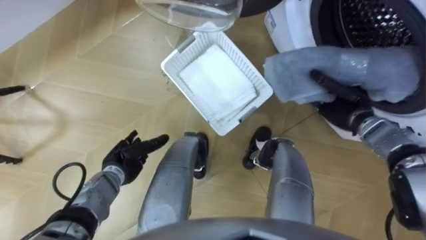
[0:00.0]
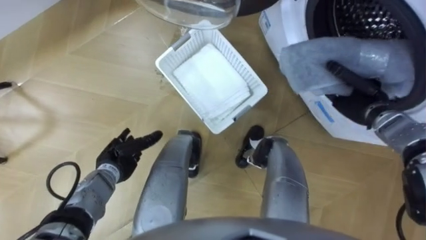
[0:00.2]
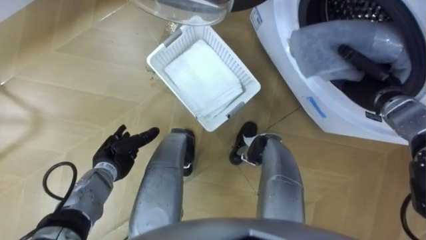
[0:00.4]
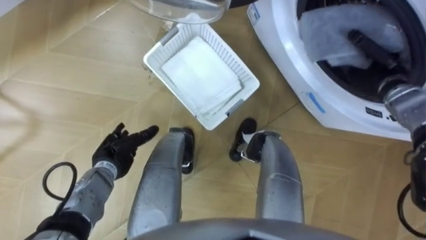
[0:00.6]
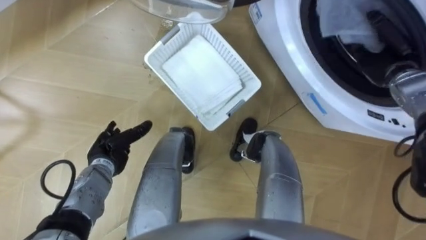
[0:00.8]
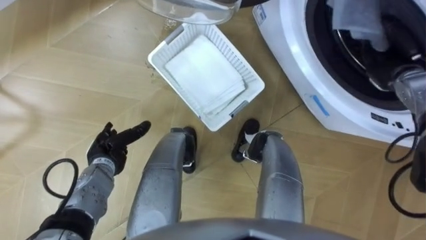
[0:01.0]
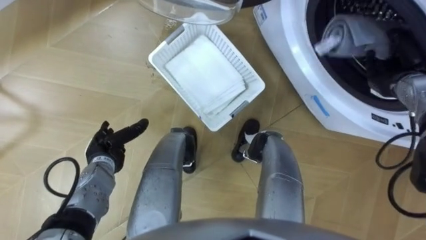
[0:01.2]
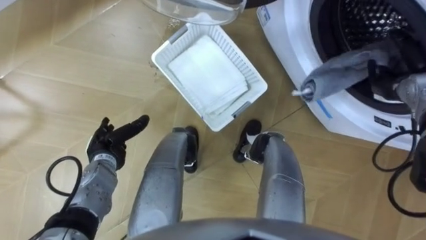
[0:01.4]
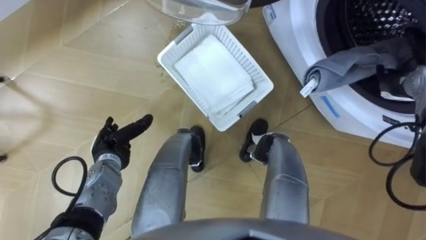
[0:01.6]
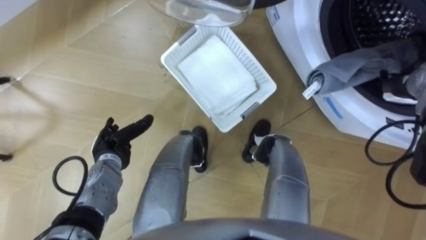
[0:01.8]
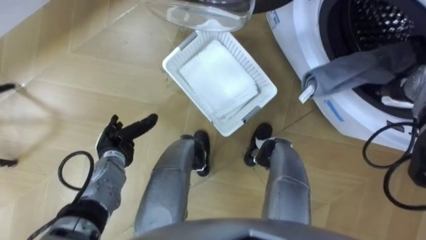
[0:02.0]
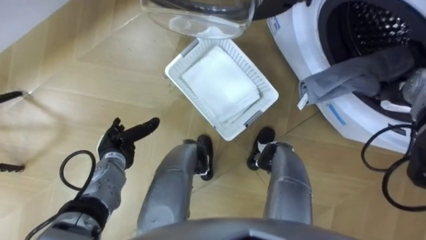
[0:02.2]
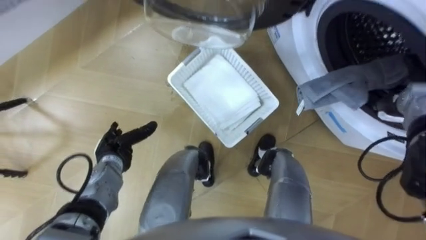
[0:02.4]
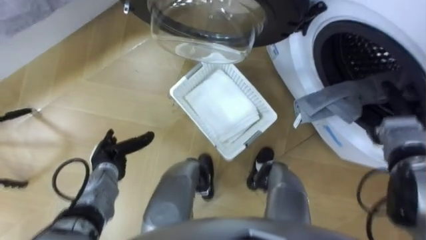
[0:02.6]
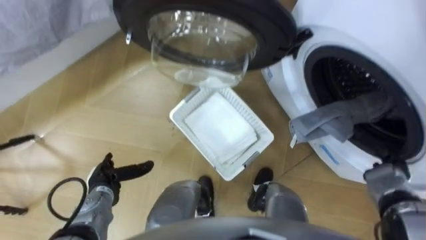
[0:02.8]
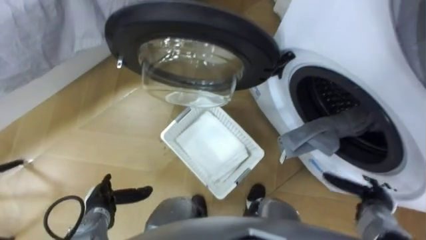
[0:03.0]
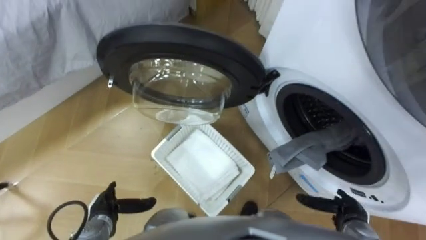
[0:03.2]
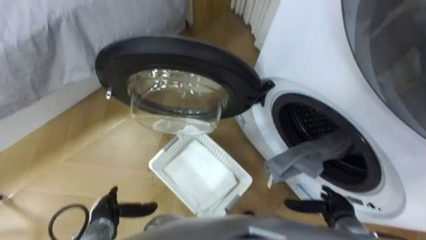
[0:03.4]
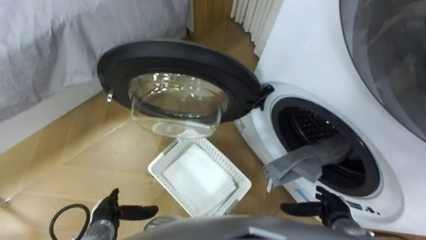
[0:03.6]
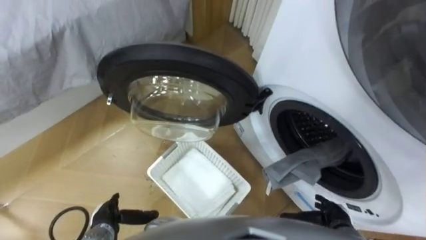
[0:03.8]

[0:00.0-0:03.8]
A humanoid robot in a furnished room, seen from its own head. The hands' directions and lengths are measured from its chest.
Task of the whole recording: Take the towel from the basket and put it into the washing machine.
0:00.0 to 0:01.2: The right hand moves to the right and upward, roughly 10 cm, and opens up.
0:01.2 to 0:02.6: The right hand travels backward and downward by approximately 10 cm, and opens up.
0:02.6 to 0:03.8: The left hand is displaced backward by roughly 15 cm. Meanwhile the right hand heads backward, downward and to the left, covering about 25 cm.

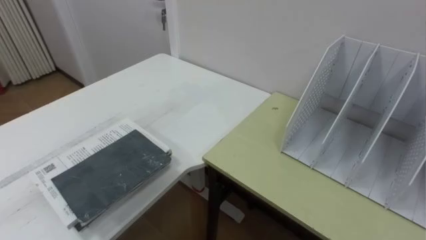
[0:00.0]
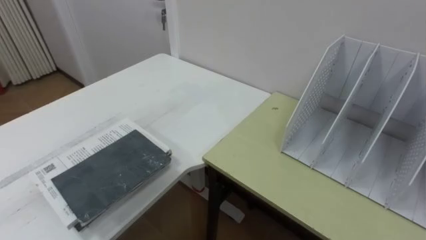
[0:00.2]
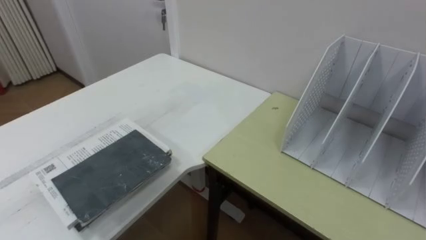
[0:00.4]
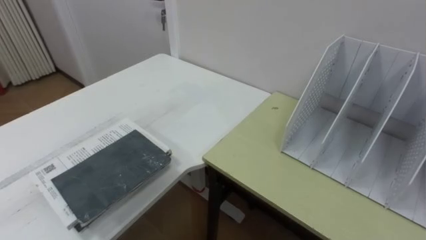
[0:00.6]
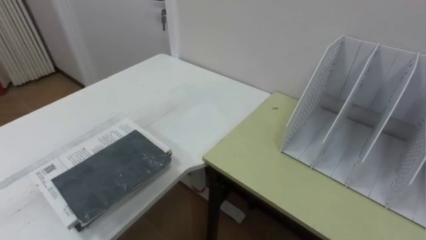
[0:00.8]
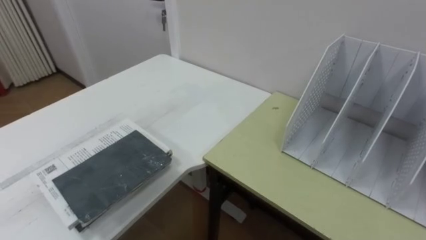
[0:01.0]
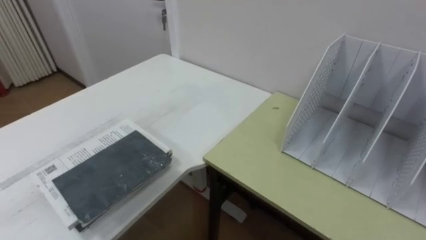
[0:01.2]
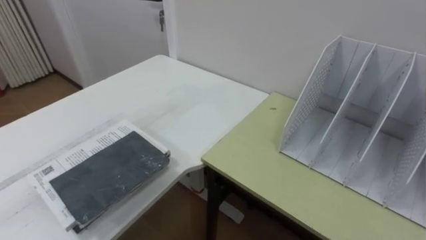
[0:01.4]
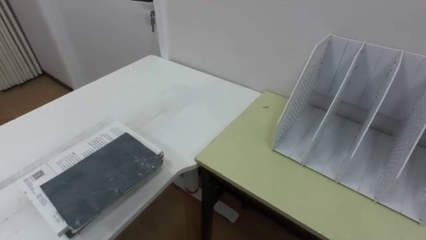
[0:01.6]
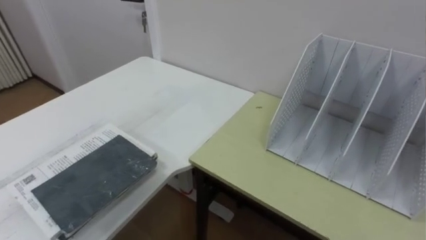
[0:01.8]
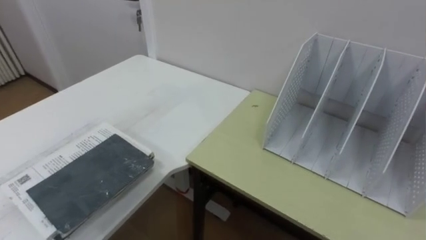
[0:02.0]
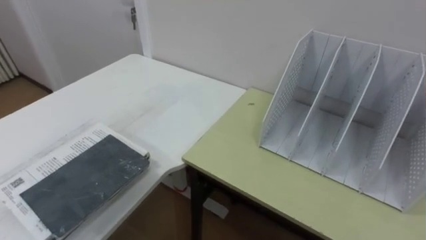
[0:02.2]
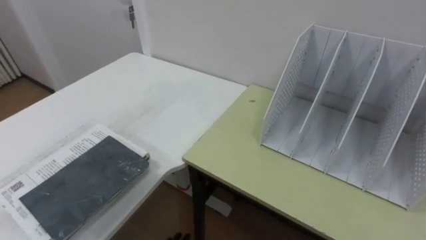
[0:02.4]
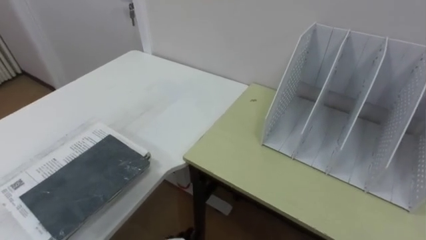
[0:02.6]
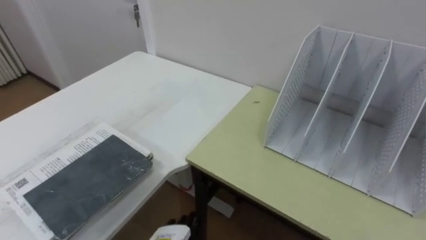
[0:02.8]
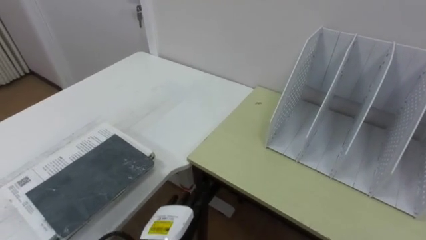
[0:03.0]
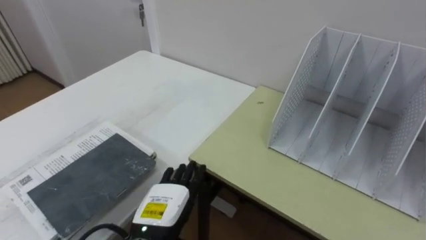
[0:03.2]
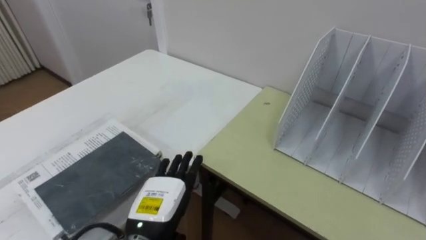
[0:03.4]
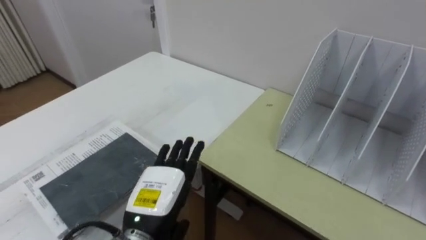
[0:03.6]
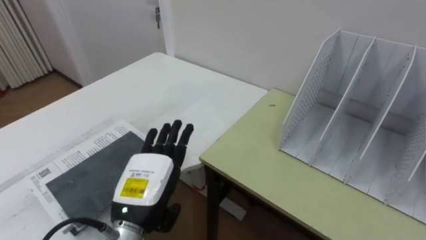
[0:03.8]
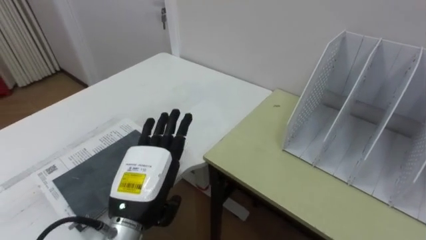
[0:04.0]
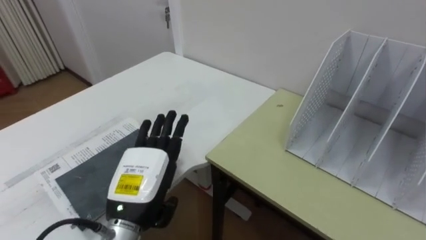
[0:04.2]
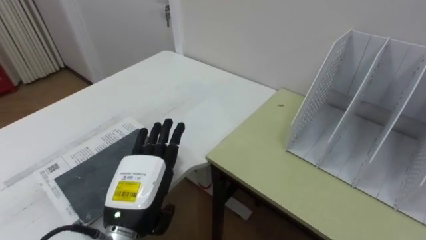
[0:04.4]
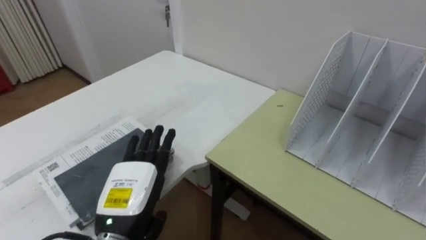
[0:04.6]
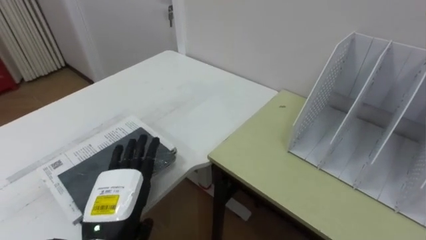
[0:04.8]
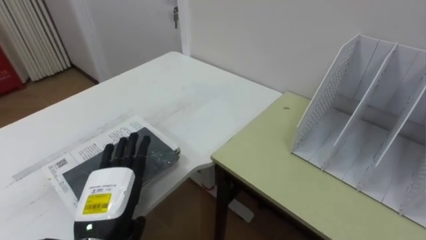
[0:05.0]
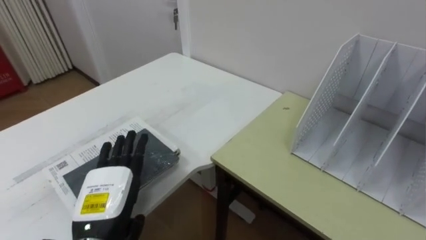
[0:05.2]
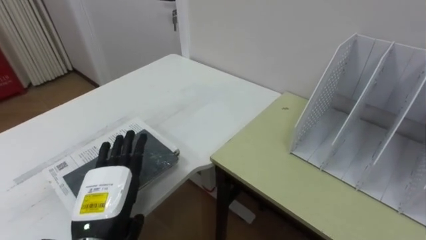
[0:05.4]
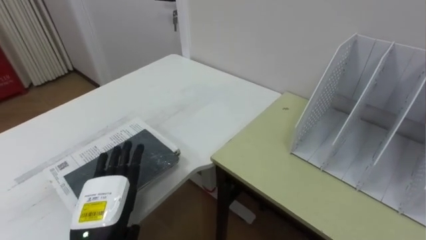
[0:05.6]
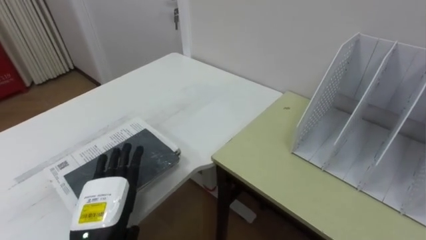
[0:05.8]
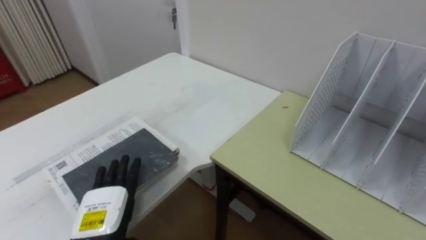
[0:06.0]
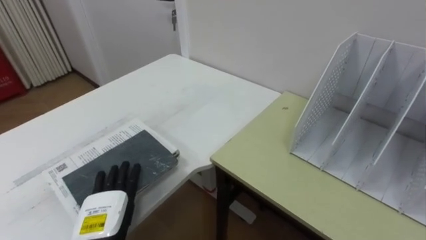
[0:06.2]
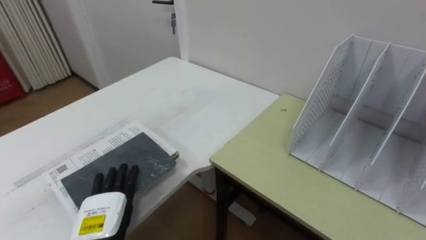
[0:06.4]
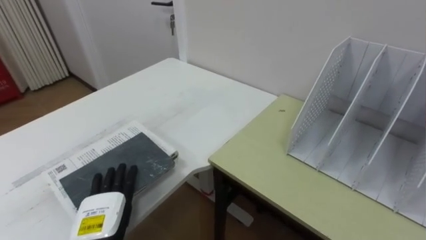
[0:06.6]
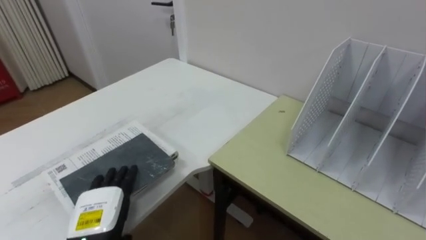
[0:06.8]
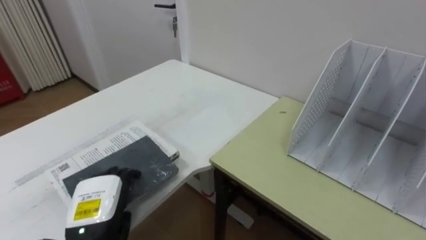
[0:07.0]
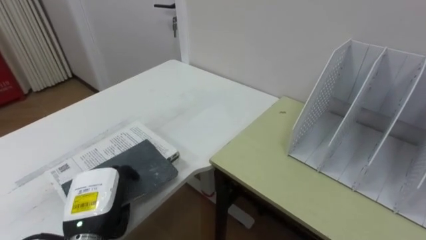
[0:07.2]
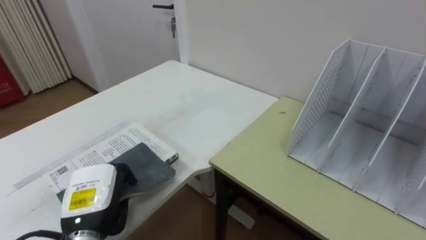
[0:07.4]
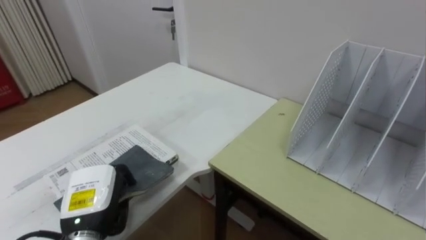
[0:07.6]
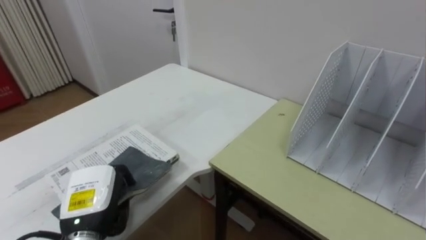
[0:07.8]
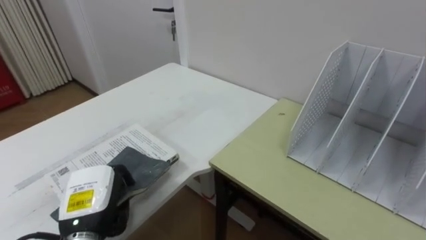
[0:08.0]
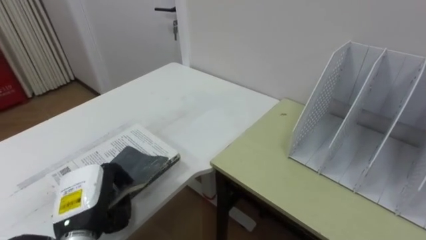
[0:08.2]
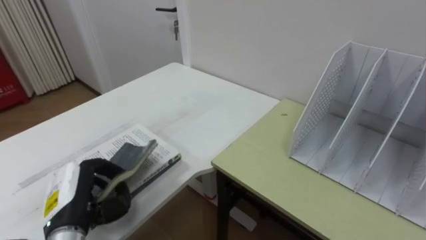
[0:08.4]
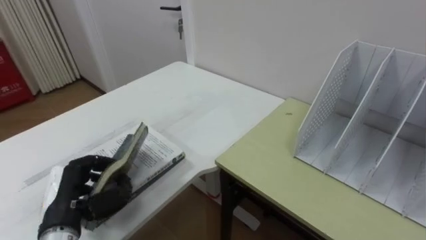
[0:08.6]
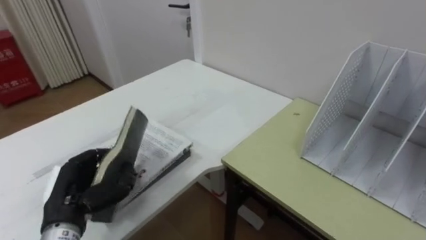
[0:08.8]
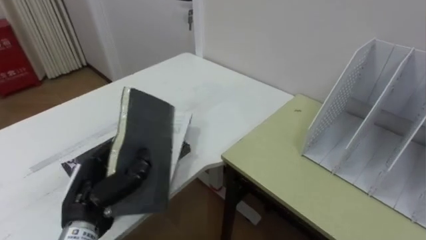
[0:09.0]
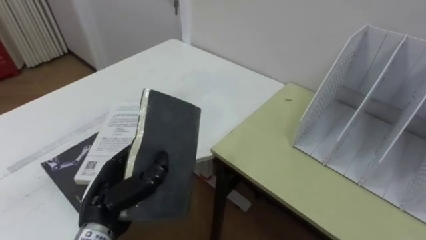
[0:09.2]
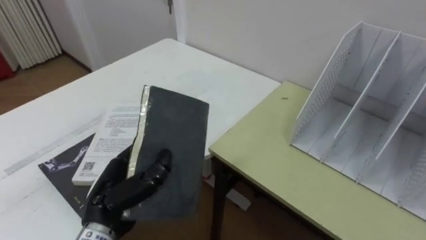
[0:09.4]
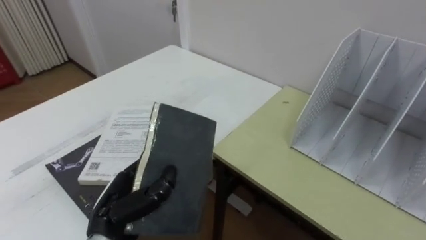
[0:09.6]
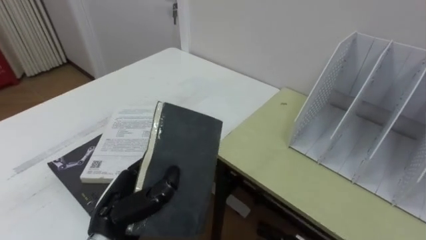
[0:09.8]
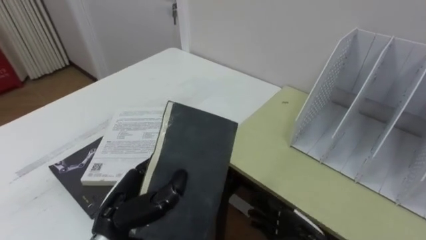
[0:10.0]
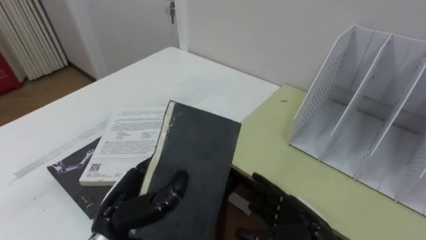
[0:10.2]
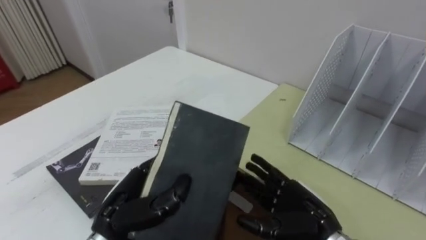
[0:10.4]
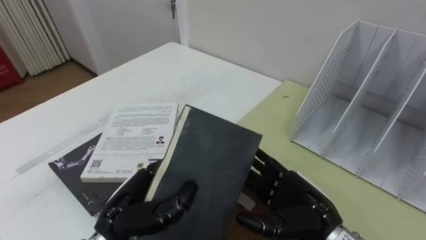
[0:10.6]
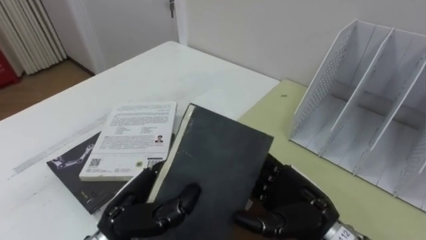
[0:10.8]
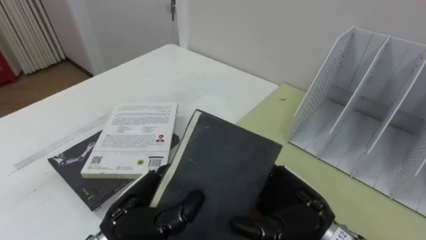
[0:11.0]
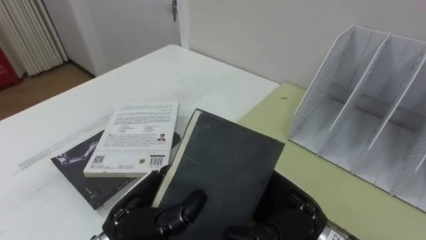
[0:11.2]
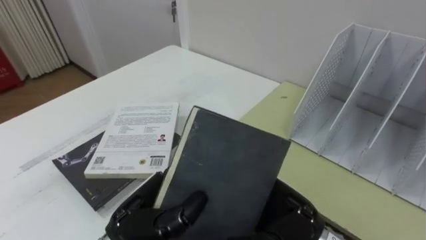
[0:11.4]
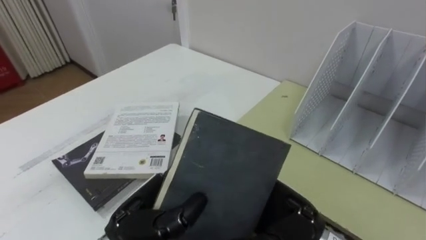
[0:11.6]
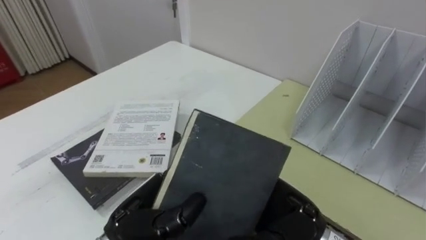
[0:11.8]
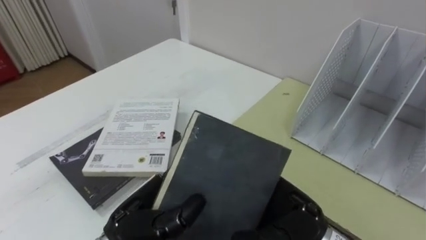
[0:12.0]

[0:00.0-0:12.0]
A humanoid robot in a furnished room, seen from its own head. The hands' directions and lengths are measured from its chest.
Task of the whole recording: Put the books on the table onto the bookshelf.
0:03.0 to 0:04.4: The left hand shifts approximately 10 cm upward.
0:04.4 to 0:06.0: The left hand is displaced to the left and downward by approximately 10 cm.
0:06.0 to 0:07.6: The left hand closes up.
0:09.0 to 0:10.4: The left hand travels to the right by approximately 5 cm.
0:10.4 to 0:12.0: The right hand travels upward and to the left by approximately 10 cm.

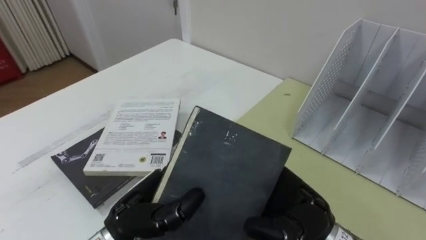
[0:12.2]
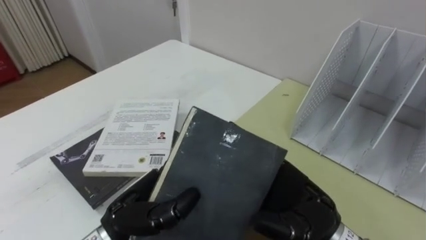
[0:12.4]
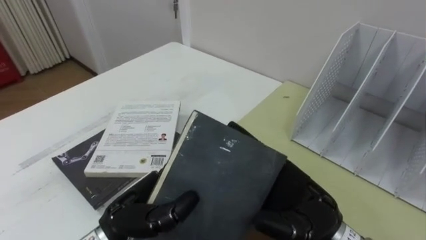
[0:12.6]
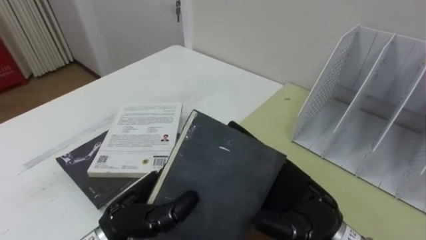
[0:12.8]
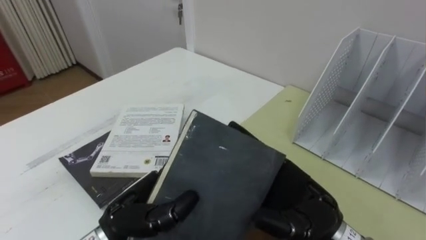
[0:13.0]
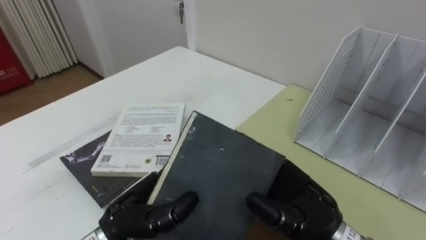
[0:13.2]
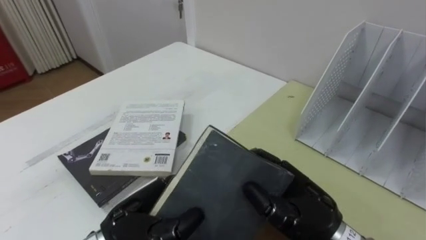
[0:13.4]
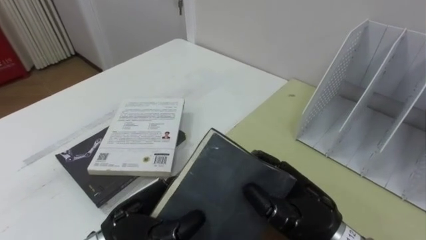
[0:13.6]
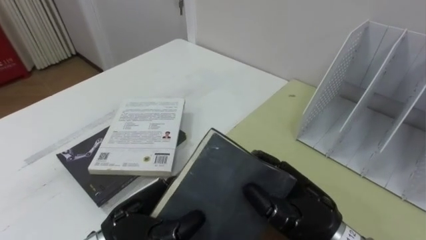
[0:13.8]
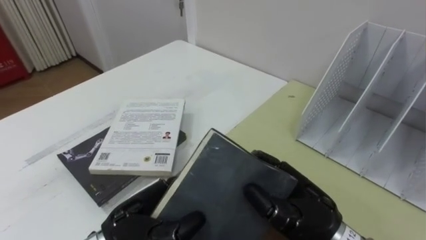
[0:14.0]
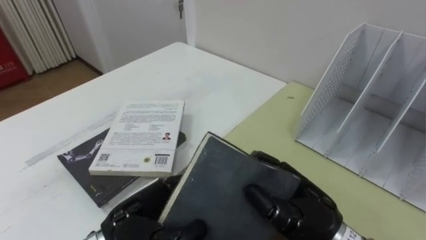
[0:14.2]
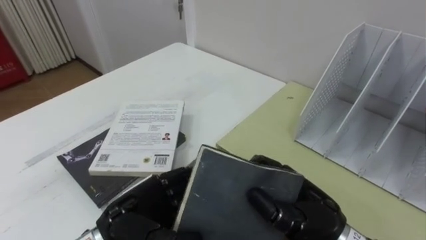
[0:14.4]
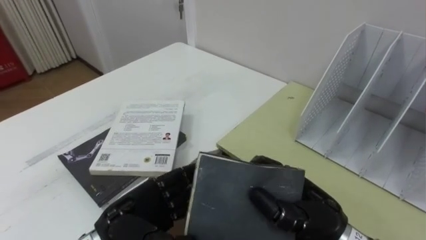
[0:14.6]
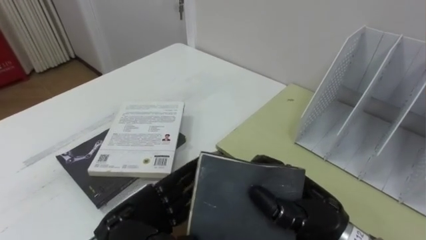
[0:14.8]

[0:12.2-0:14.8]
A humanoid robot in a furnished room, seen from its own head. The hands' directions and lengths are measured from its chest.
Task of the whole recording: Put the books on the table onto the bookshelf.
0:12.2 to 0:13.4: The right hand closes.
0:13.4 to 0:14.8: The left hand opens up.
